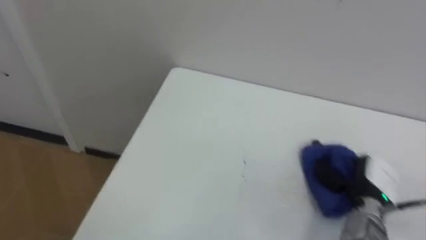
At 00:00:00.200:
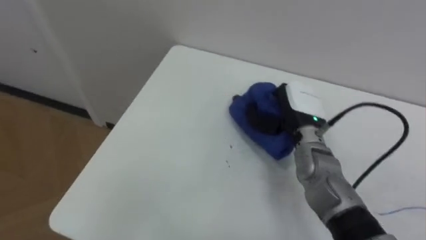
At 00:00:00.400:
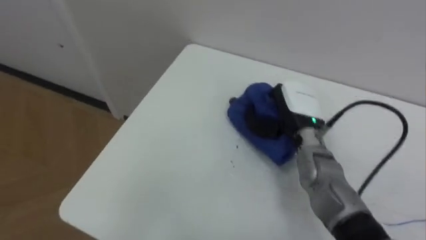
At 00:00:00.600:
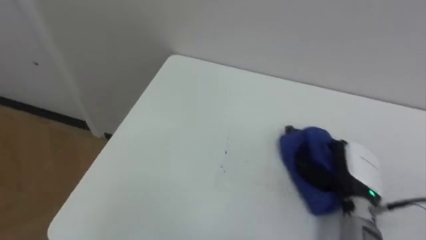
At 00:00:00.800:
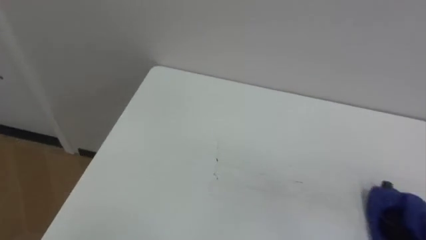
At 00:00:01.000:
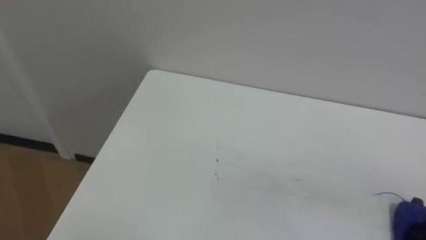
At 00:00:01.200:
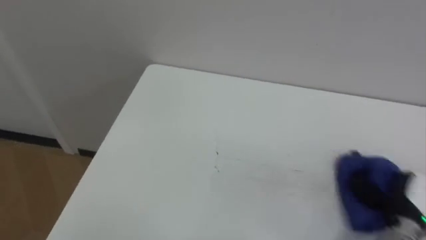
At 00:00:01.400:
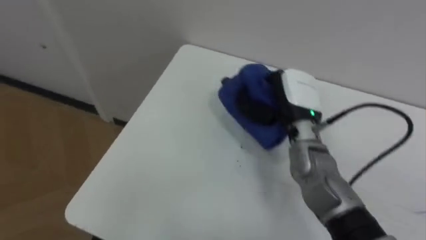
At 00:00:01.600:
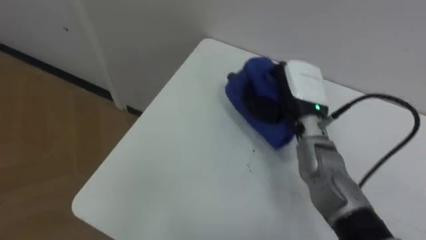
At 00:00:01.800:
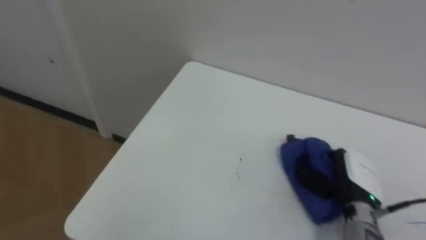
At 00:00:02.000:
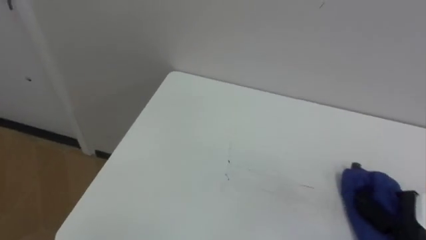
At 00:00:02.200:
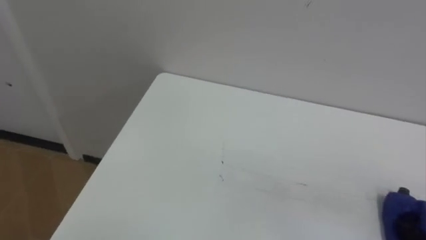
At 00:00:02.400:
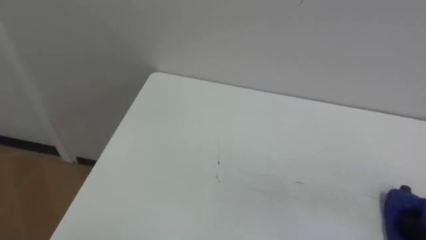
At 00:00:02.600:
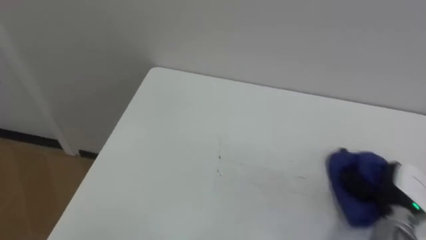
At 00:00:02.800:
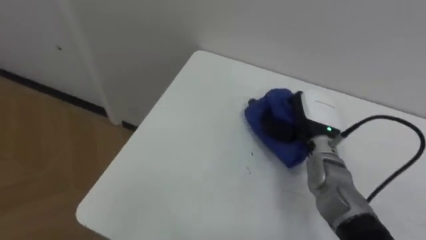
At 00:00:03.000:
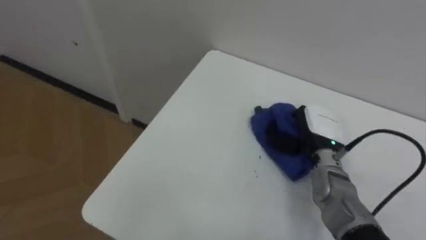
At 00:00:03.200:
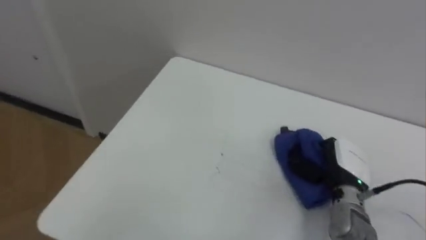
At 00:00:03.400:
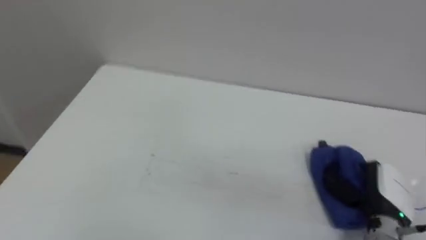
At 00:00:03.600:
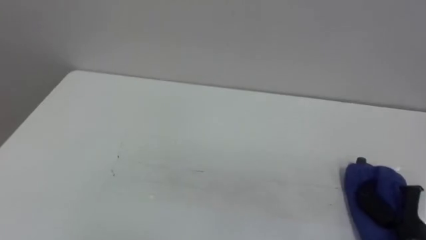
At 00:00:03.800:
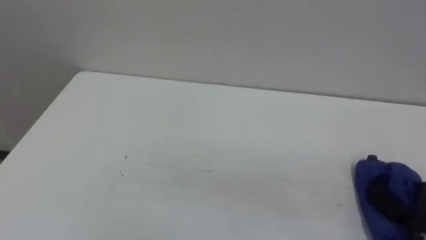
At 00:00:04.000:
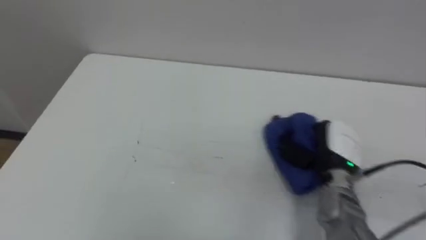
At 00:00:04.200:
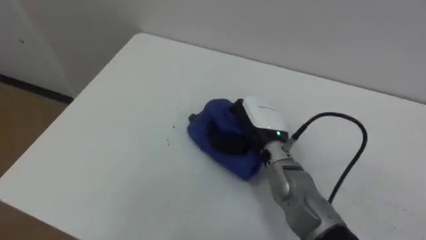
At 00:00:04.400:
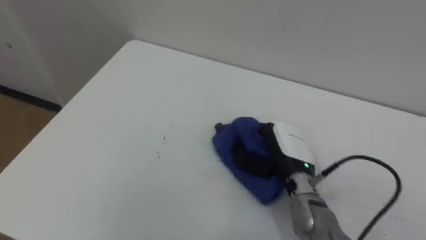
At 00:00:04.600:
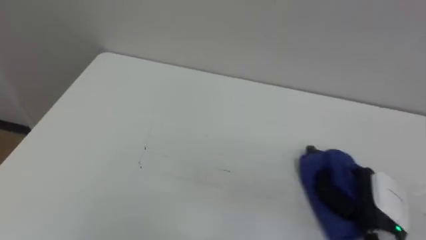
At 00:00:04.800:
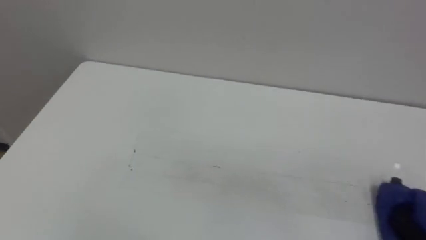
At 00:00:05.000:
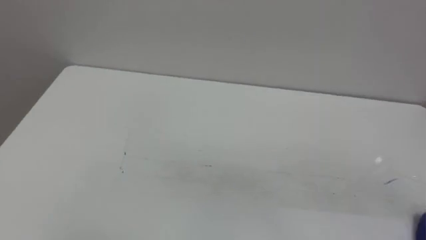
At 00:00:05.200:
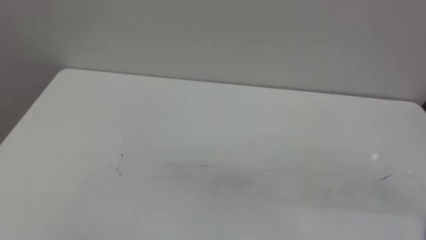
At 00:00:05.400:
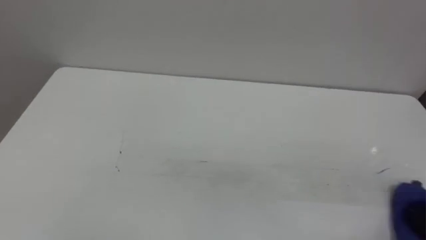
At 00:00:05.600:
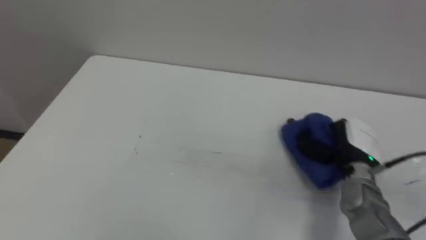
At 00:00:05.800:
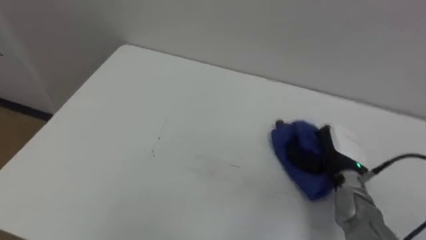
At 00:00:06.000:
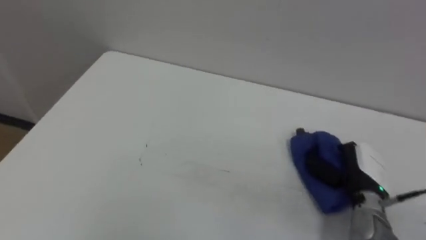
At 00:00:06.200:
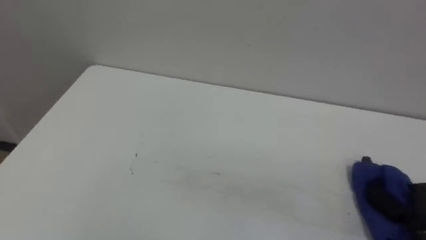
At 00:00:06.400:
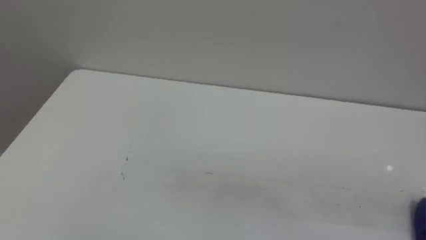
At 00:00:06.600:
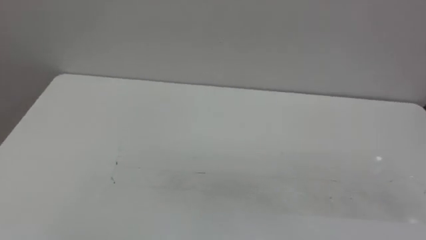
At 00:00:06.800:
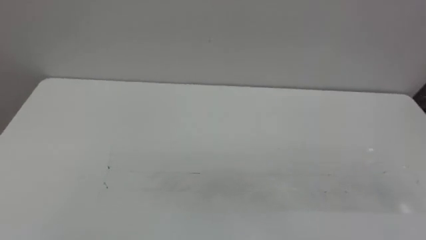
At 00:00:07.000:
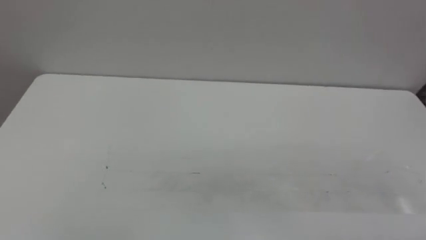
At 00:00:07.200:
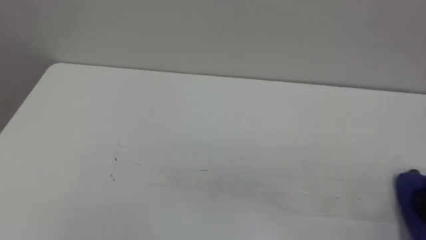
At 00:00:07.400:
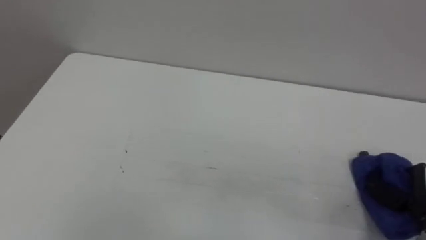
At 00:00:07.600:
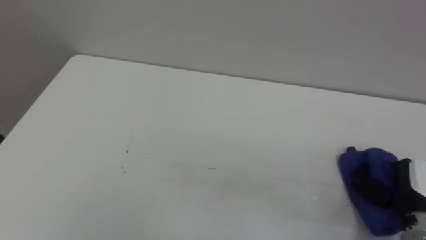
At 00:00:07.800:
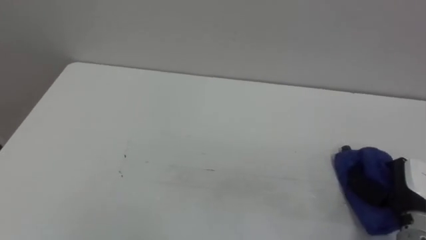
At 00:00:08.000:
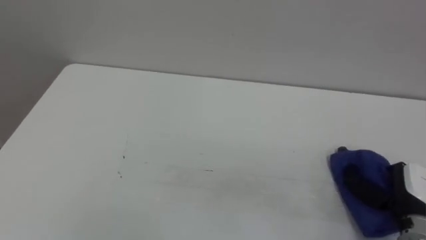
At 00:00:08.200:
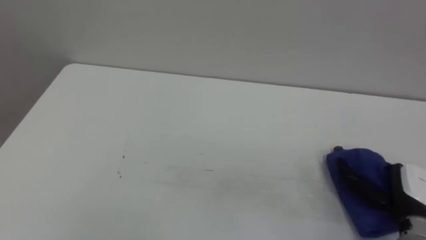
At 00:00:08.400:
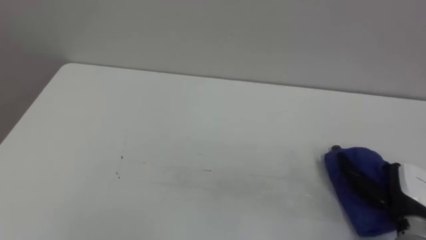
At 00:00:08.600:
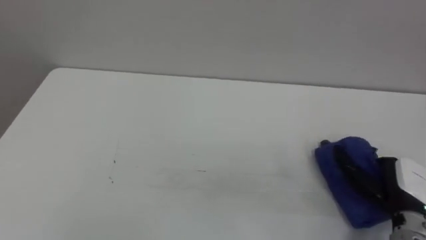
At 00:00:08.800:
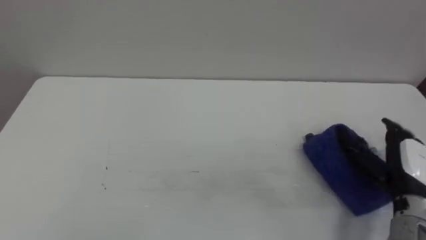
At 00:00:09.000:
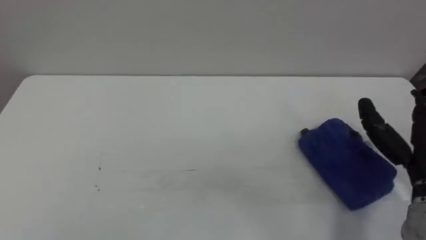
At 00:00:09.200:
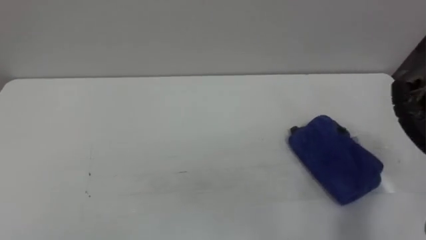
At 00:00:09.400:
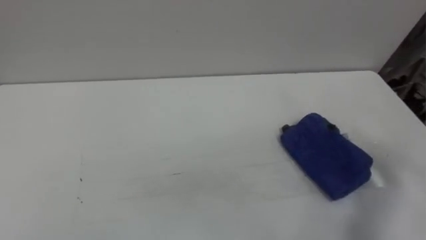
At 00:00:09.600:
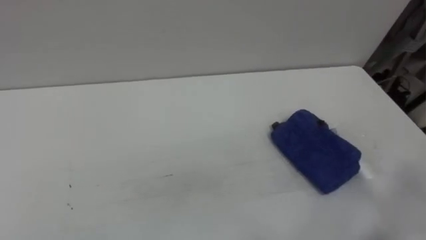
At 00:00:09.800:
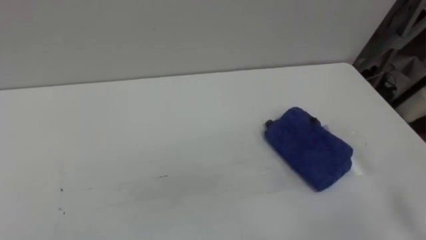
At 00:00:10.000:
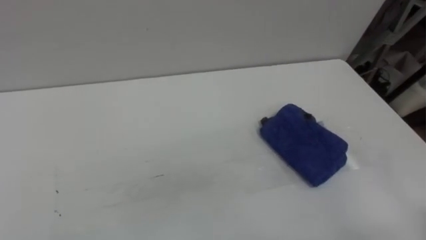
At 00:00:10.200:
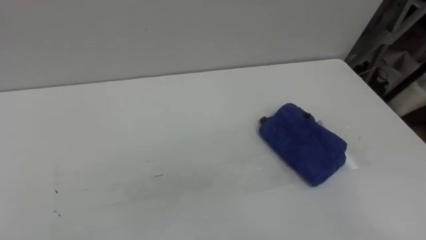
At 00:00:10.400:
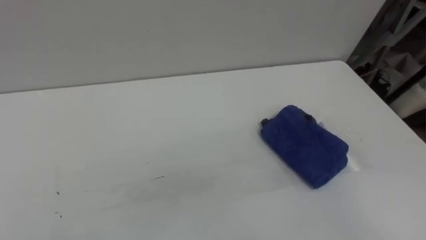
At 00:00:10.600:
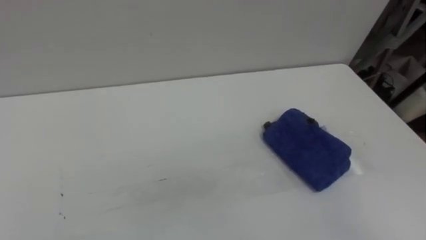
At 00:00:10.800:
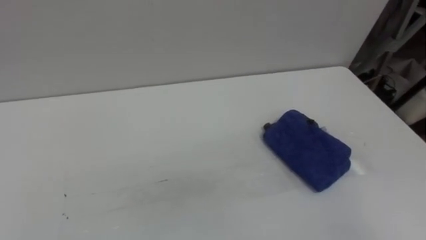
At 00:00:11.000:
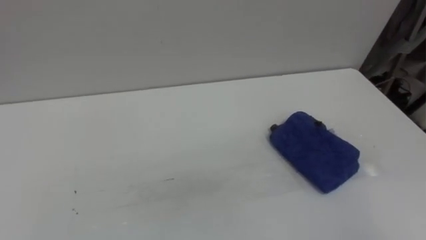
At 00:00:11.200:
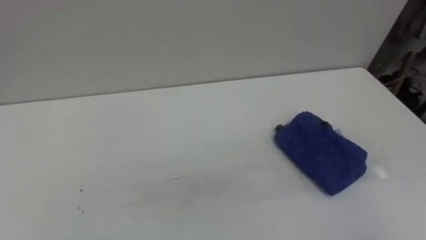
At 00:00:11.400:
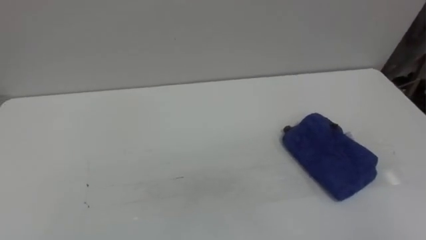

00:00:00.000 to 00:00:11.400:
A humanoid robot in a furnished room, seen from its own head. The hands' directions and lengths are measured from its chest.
Task of the whole recording: Wipe the blue pen marks off the table with the rag.
00:00:02.800 to 00:00:04.200: The right hand shifts some 10 cm to the left.
